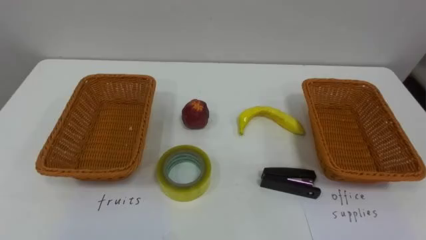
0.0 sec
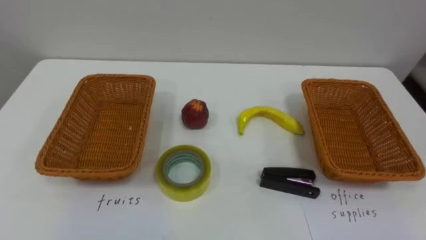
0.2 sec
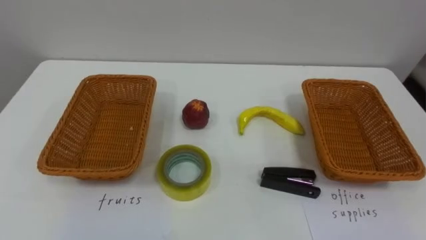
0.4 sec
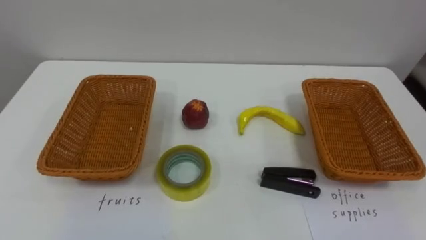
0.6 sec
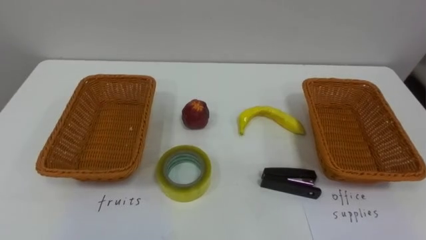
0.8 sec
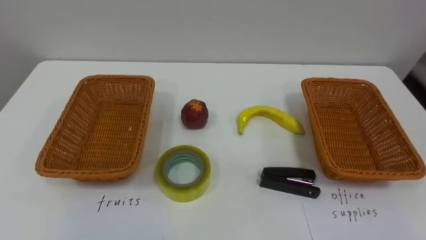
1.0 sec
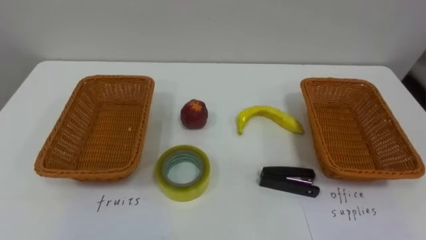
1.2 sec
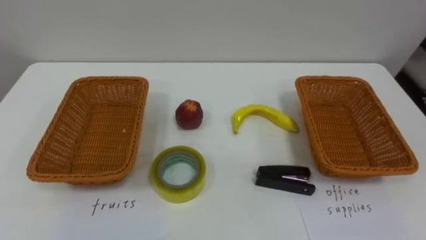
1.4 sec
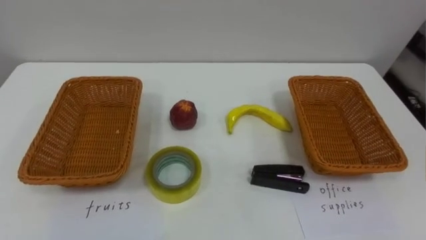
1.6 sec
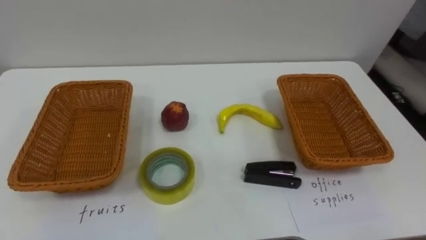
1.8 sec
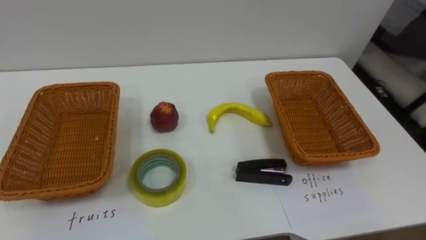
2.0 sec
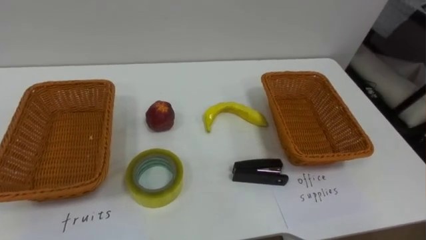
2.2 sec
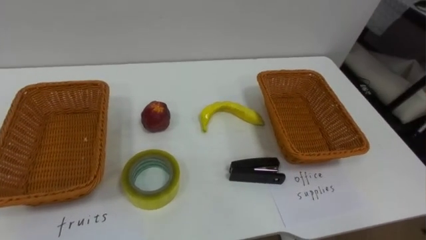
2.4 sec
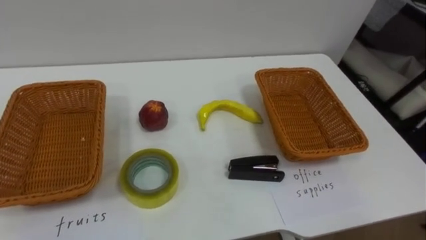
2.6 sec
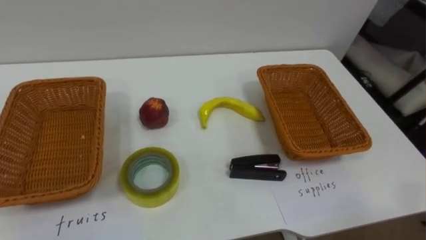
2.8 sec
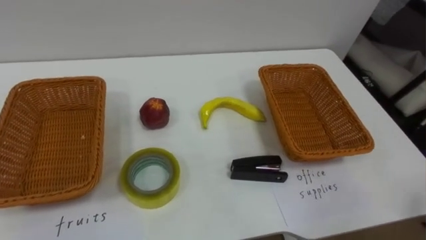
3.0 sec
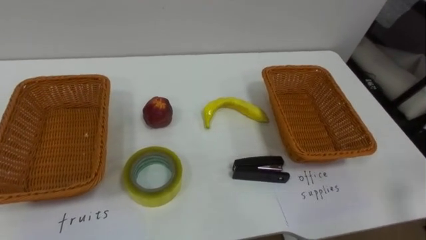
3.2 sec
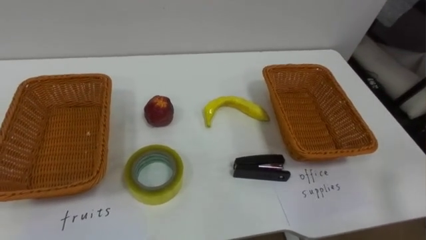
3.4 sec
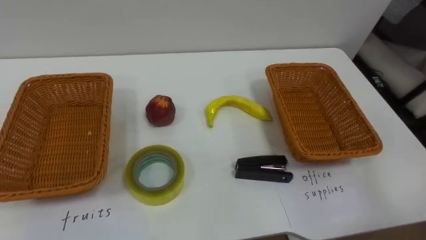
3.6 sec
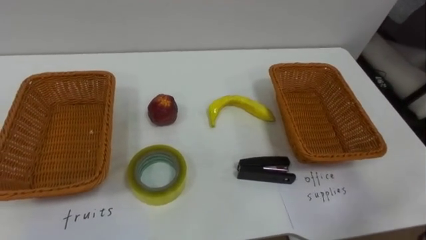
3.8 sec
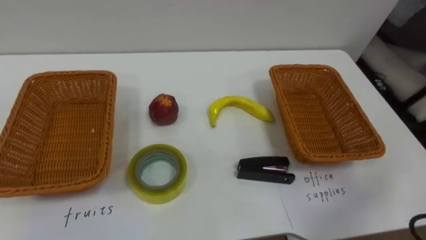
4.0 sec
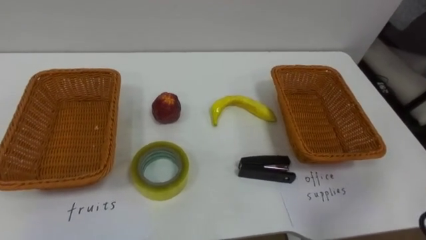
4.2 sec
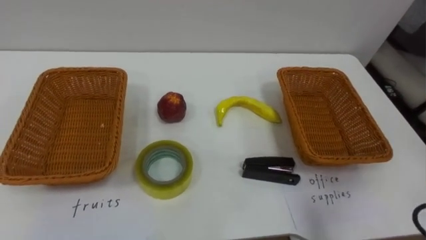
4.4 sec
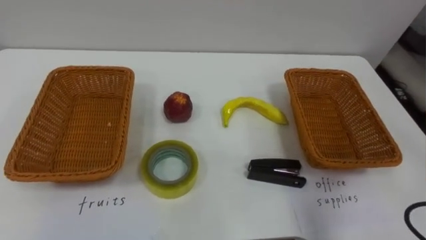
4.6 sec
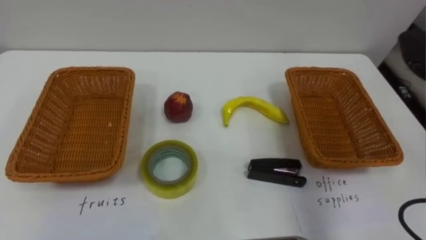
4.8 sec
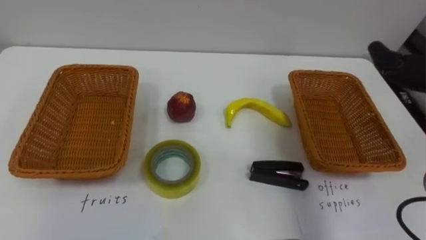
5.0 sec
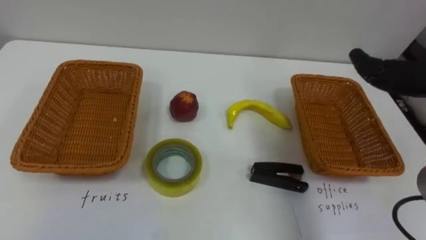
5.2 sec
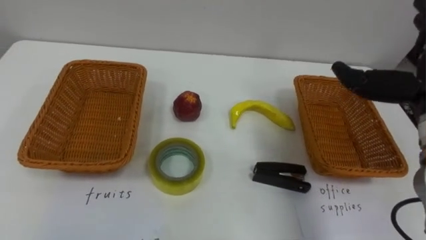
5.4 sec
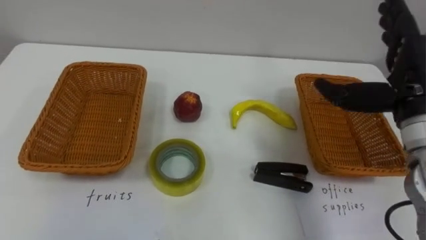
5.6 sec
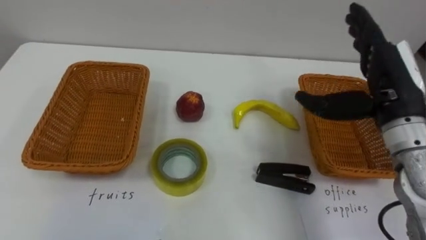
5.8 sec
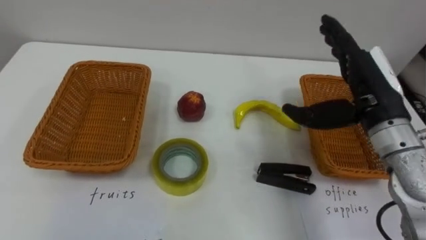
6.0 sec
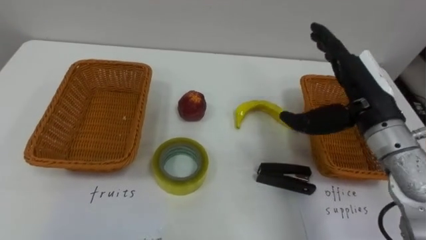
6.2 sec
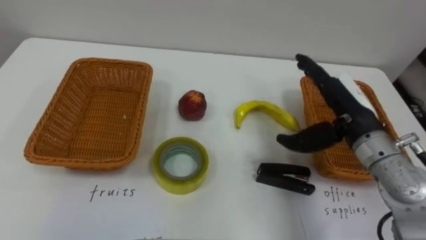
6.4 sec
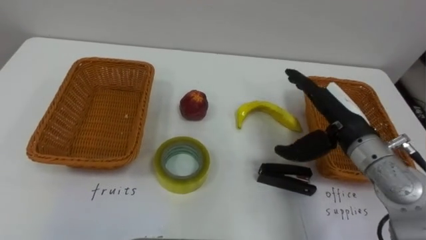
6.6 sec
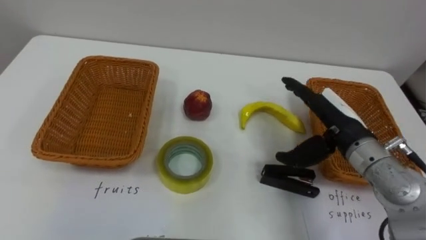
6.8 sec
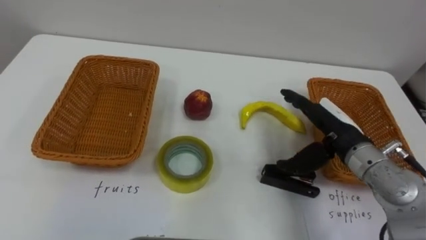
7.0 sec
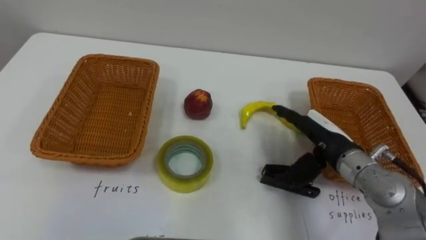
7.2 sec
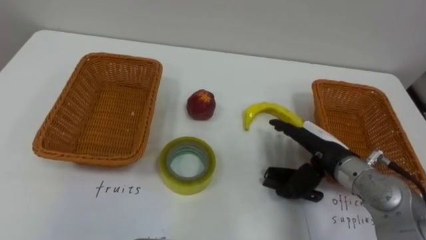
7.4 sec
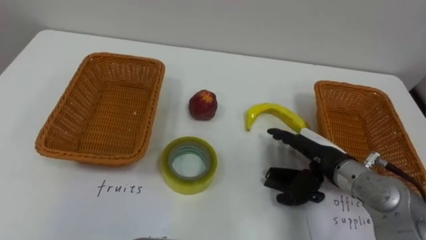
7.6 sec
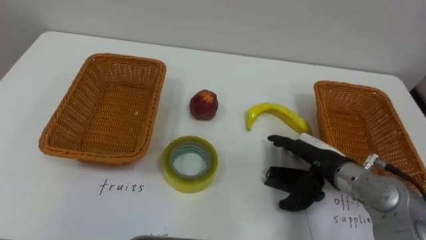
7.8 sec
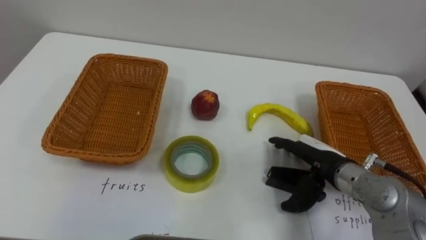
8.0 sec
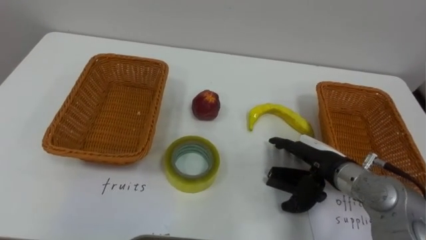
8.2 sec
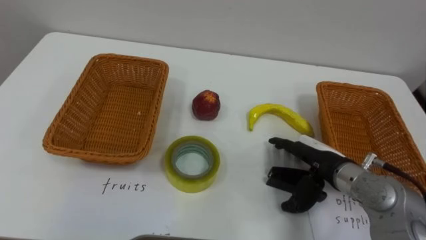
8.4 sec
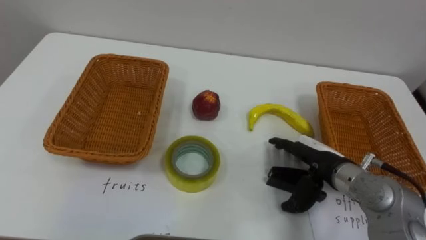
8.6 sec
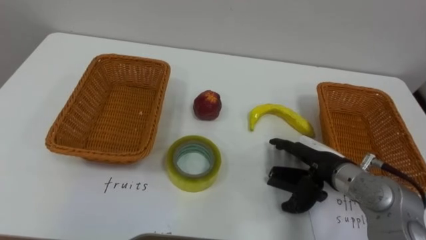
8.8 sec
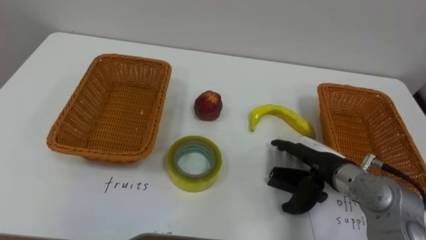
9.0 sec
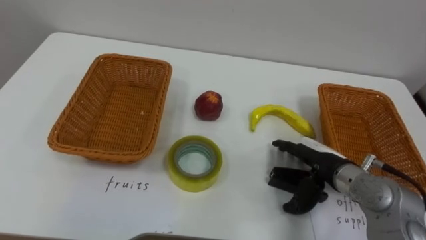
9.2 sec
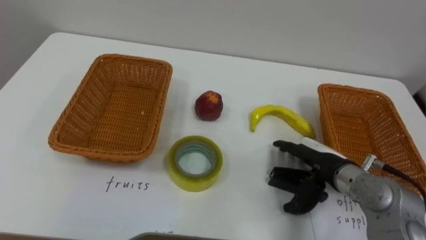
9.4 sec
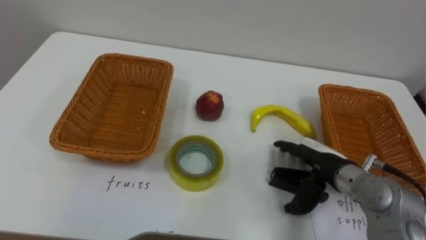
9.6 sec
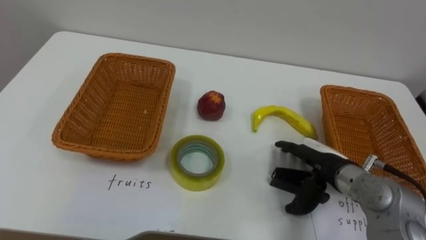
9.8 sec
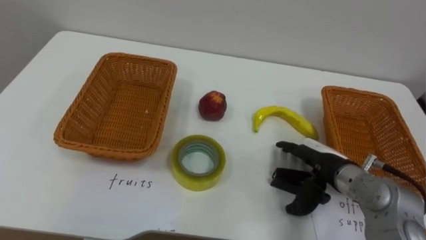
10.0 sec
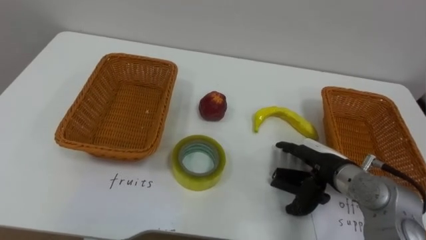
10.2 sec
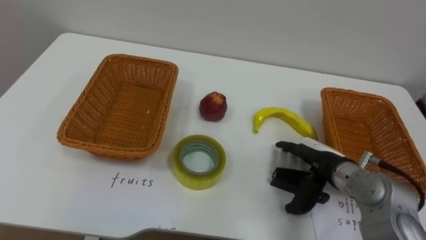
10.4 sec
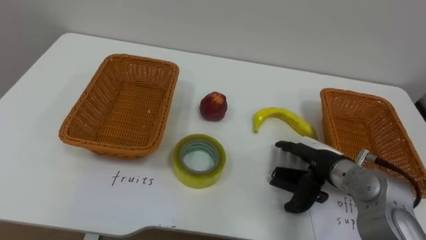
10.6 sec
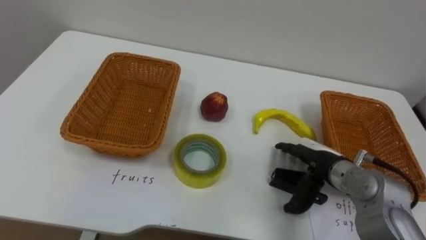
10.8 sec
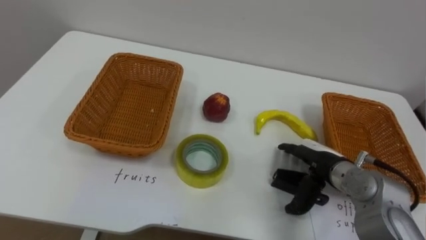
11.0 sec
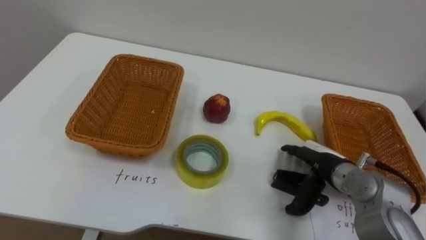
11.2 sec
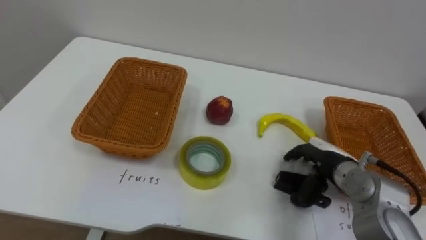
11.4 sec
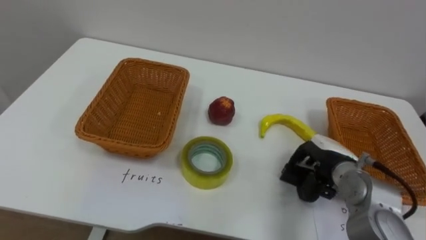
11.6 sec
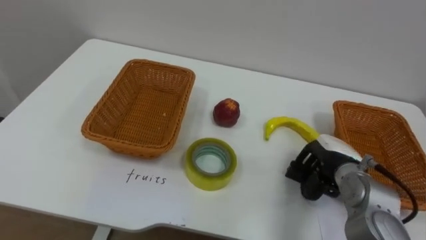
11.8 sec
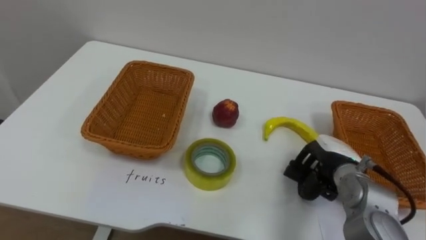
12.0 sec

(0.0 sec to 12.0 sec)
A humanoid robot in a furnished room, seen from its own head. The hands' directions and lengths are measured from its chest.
Task of the whole recording: Separate the items on the table and place them into the two baskets.
6.0 sec - 7.6 sec: The right hand heads downward, covering approximately 15 cm.
10.4 sec - 12.0 sec: The right hand closes.

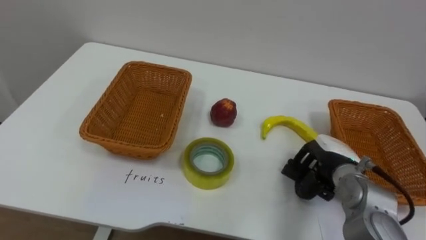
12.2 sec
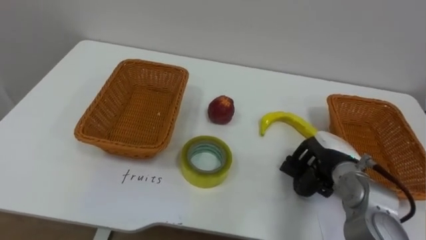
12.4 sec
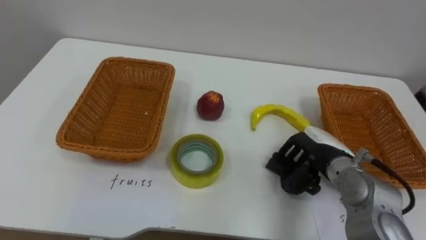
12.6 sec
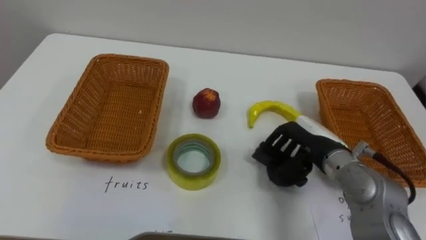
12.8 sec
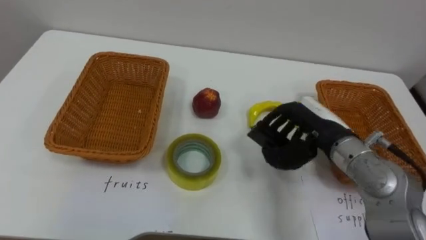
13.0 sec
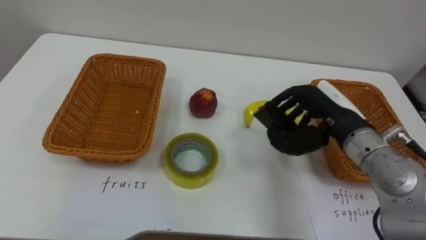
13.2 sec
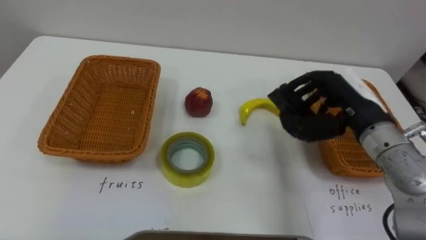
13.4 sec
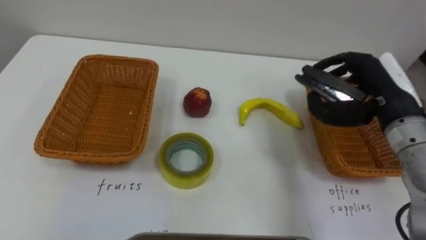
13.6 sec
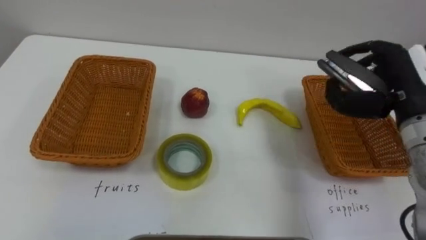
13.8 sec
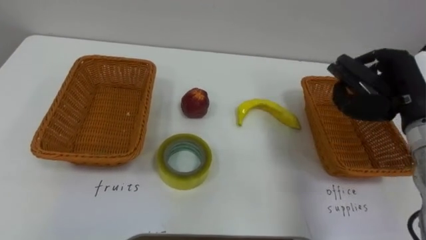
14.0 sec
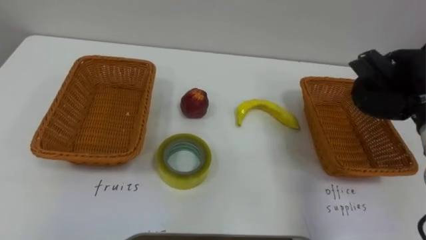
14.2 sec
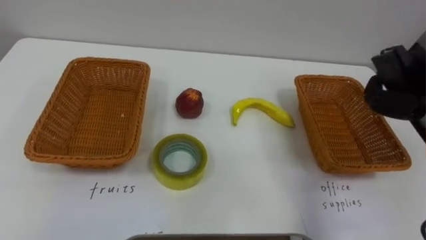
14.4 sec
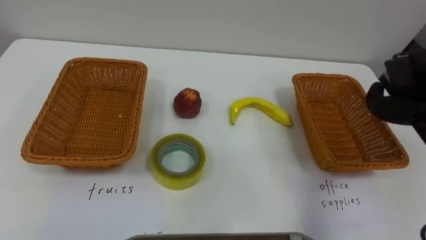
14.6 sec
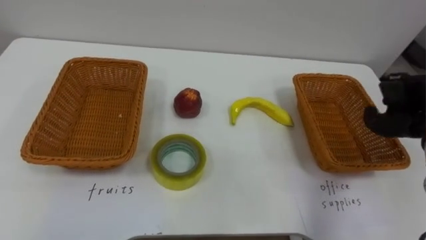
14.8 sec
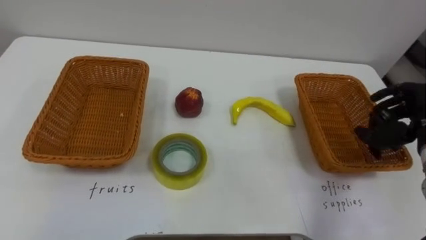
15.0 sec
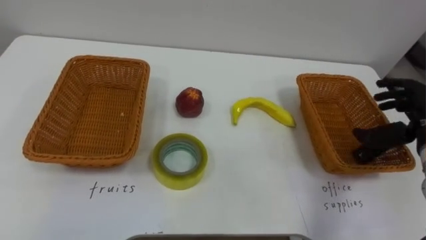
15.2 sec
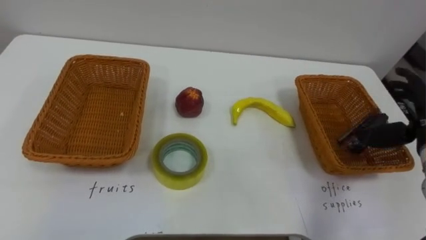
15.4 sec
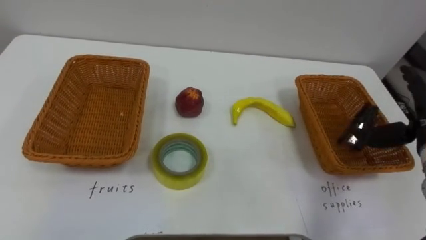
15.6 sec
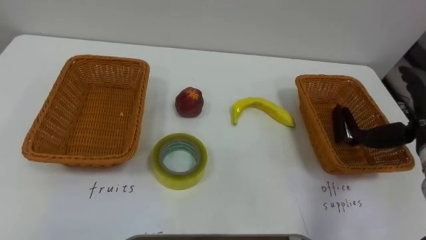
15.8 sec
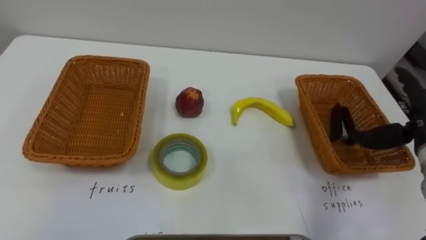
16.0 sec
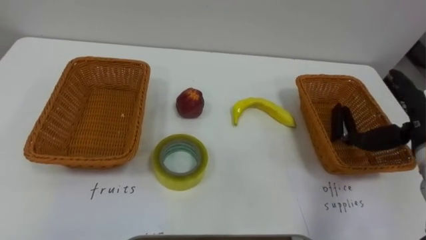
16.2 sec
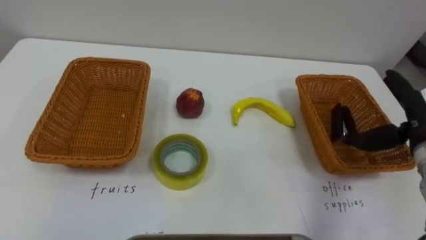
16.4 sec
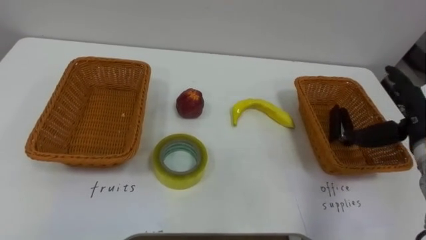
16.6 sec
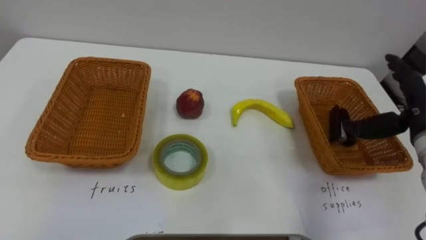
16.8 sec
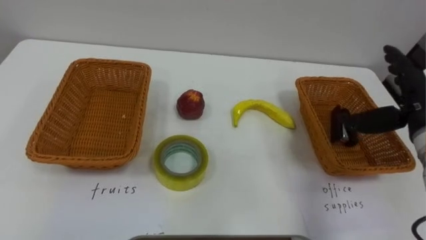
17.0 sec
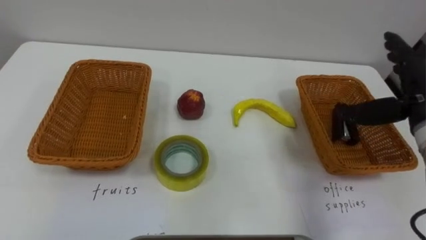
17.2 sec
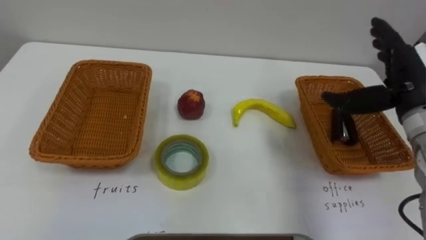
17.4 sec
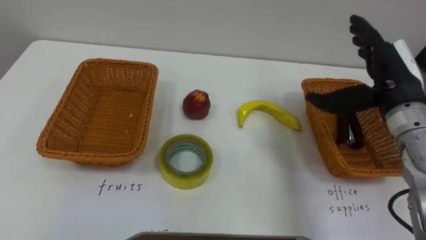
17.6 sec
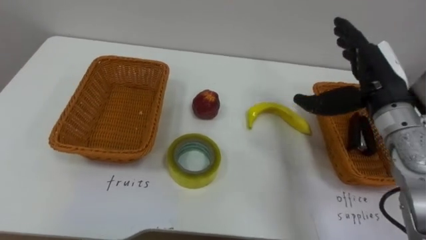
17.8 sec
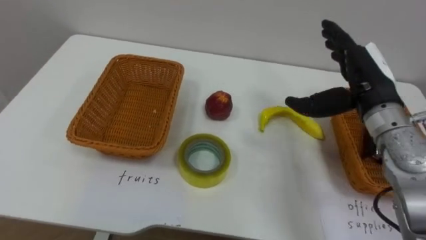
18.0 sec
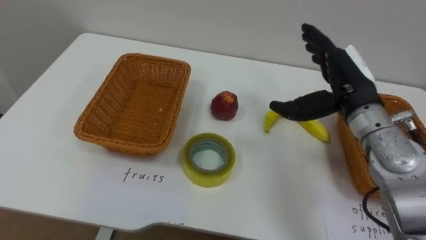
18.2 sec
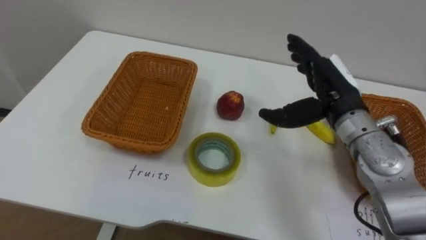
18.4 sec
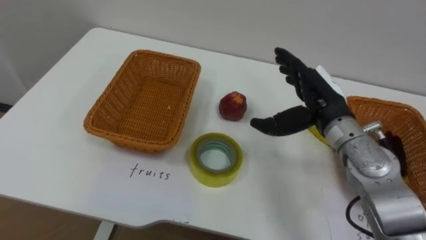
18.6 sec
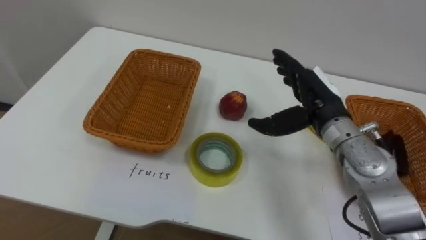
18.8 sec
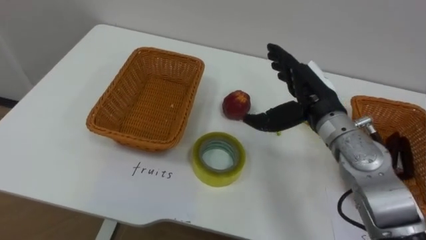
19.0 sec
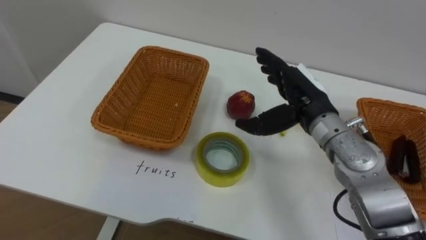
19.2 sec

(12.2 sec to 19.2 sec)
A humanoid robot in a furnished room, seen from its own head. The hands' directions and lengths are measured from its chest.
Task of the whole recording: Separate the items on the table and place them into the two baskets.
12.2 sec - 13.6 sec: The right hand travels upward by some 15 cm.
16.4 sec - 17.8 sec: The right hand moves to the left and upward, approximately 10 cm.
17.8 sec - 19.2 sec: The right hand travels to the left by about 10 cm.
